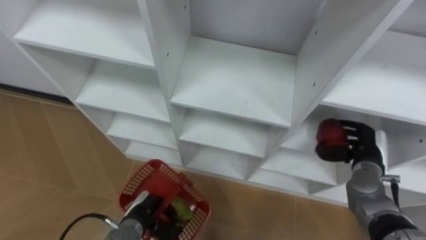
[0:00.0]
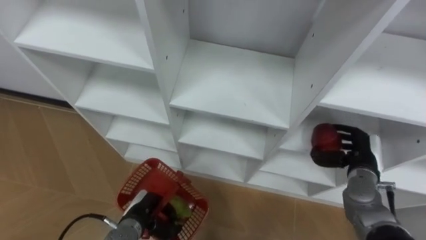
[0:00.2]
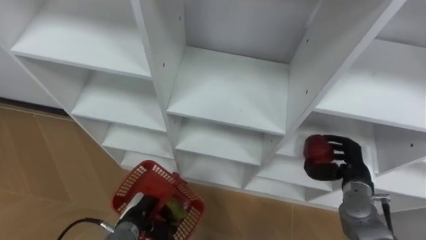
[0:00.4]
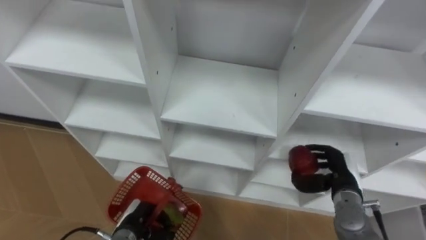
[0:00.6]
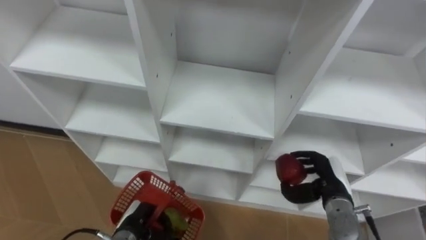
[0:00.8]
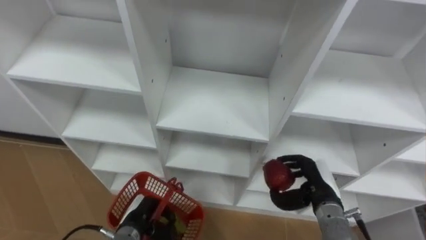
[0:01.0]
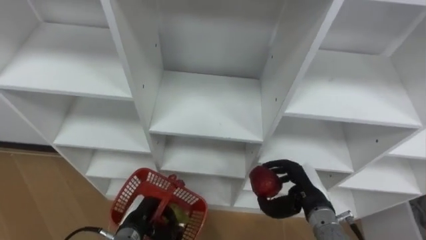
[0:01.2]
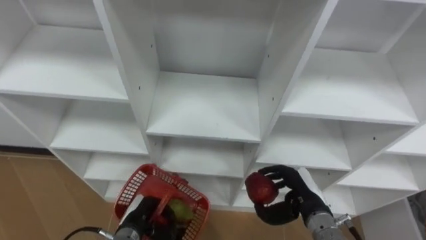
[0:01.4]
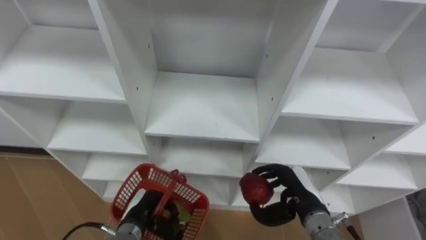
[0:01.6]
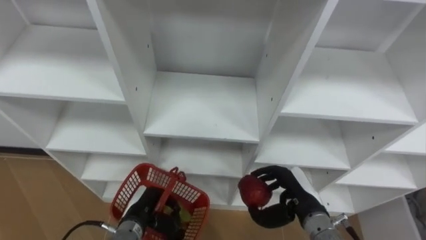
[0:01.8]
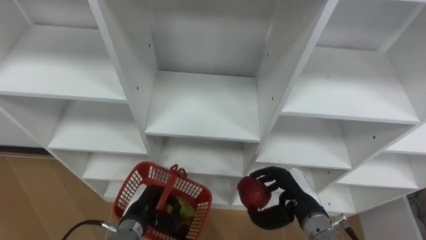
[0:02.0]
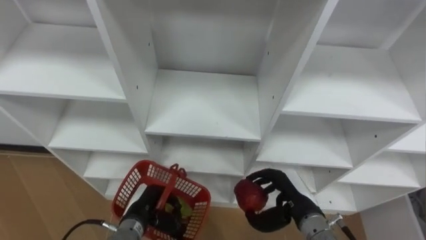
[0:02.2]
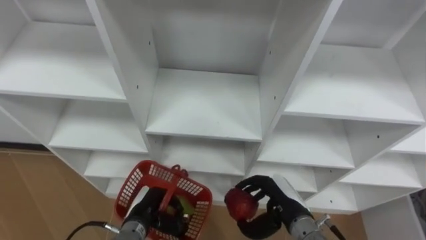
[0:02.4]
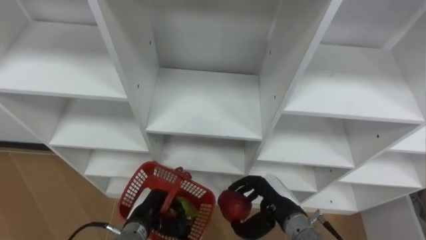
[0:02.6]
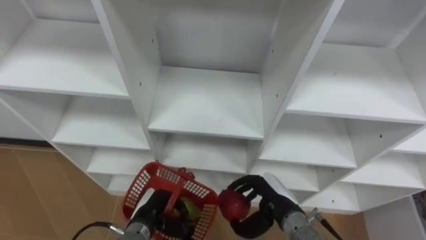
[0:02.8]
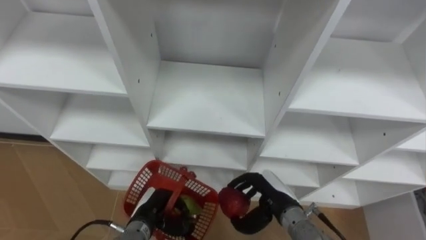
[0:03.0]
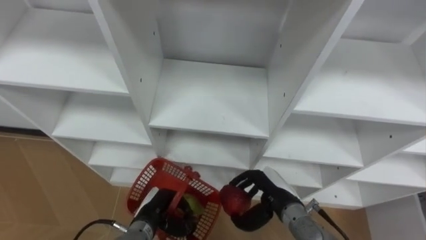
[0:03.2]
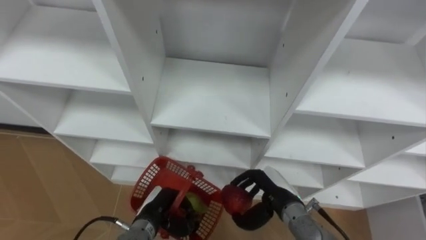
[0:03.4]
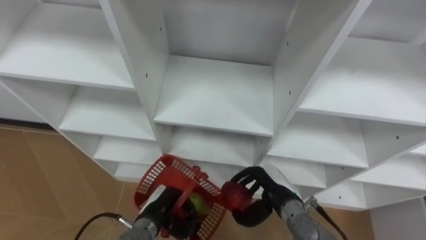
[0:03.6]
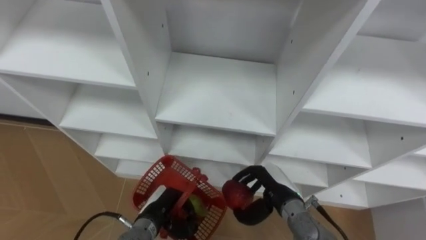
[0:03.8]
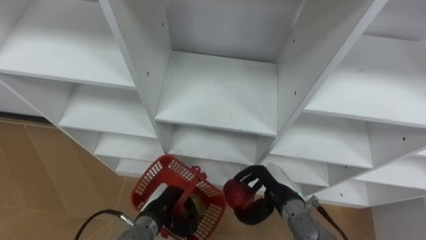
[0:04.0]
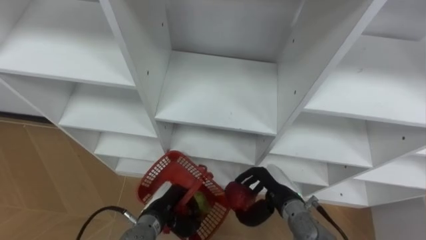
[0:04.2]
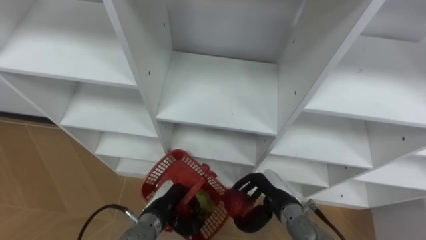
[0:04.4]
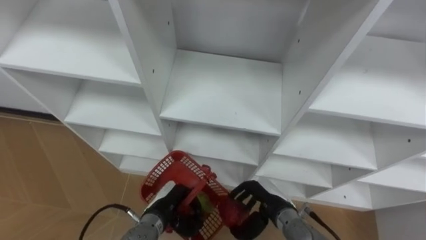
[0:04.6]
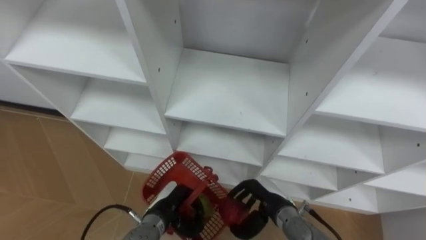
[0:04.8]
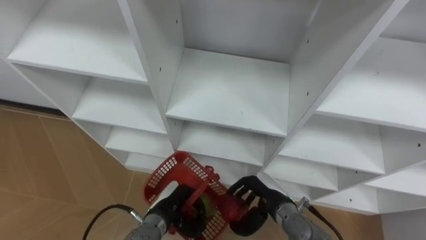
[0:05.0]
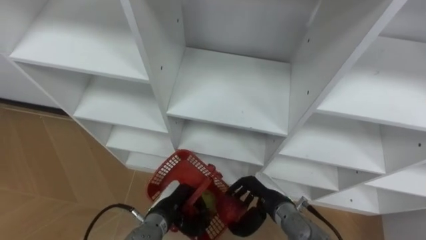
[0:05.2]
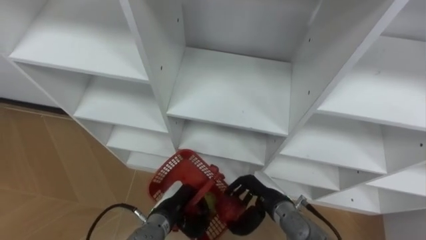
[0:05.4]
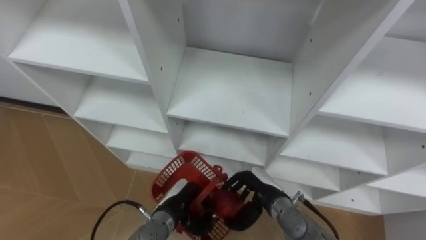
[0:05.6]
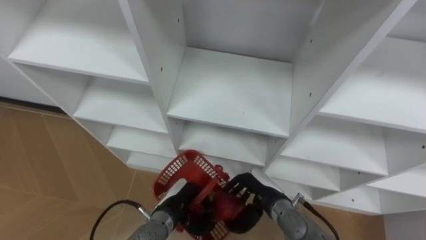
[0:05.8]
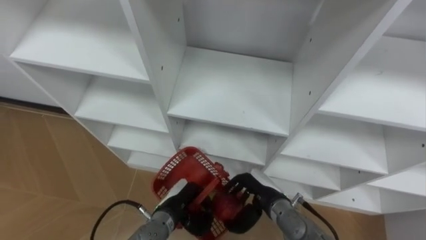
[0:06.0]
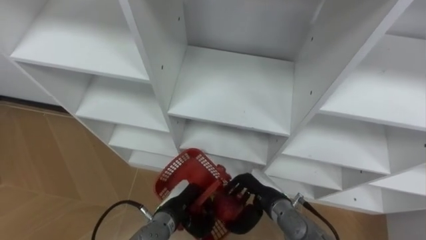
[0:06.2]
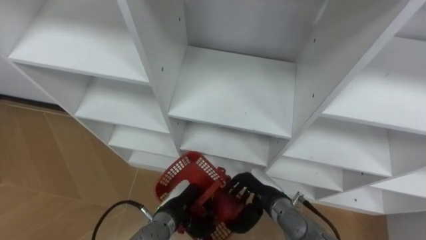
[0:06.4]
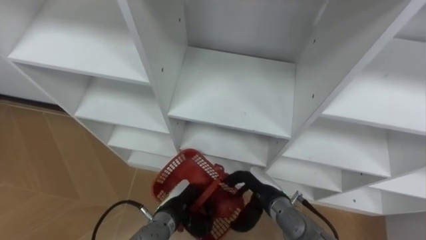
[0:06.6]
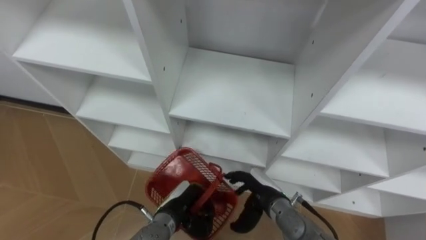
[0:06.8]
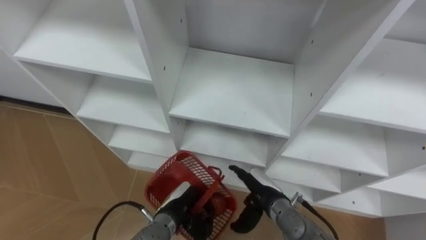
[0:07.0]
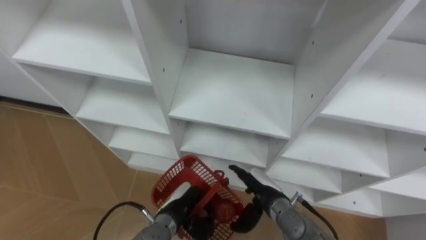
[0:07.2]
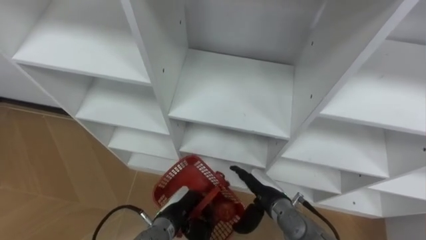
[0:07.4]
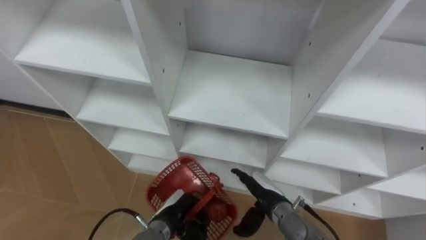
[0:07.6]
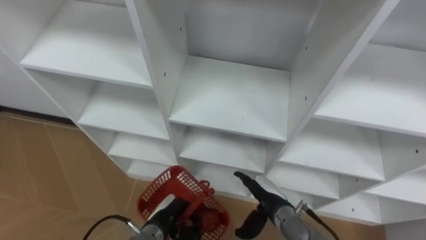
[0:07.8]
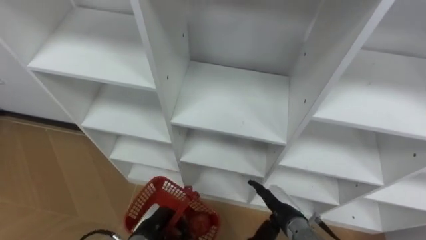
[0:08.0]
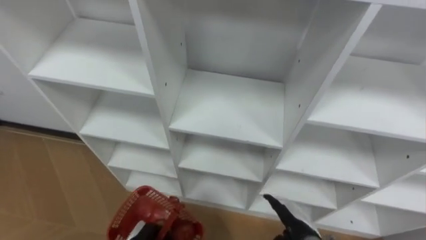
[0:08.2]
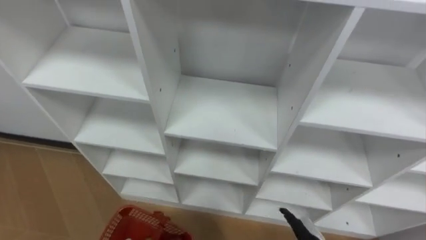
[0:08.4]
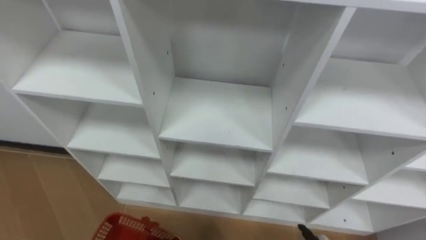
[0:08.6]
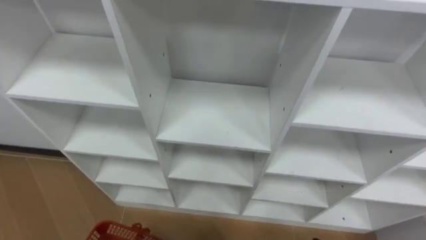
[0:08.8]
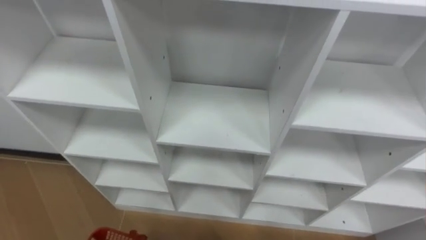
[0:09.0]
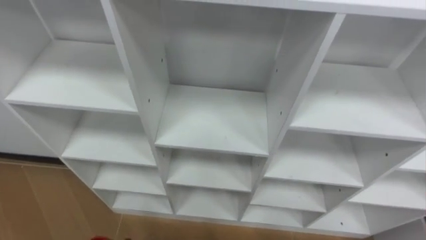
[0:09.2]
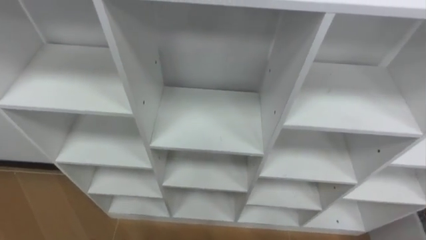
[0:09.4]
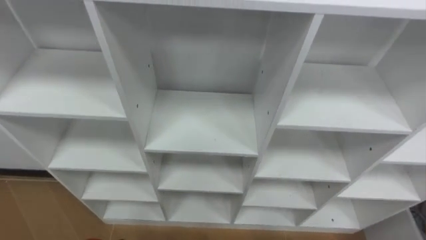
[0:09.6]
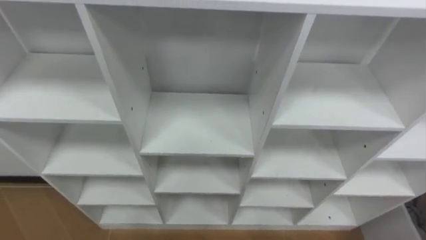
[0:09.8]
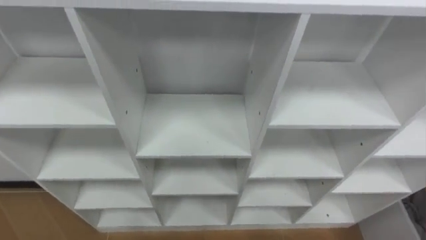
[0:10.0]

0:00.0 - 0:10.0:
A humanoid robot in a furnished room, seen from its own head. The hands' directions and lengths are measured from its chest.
Task of the whole recording: Hold the basket and collect the fruits from 3 different cells of the closet into it.
0:00.0 - 0:01.4: The right hand is displaced to the left and backward by some 15 cm.
0:01.4 - 0:02.8: The right hand shifts roughly 5 cm to the left.
0:05.8 - 0:07.2: The right hand opens.

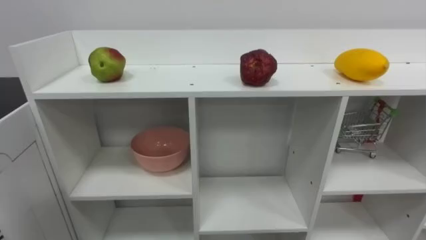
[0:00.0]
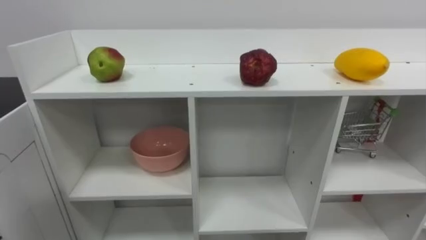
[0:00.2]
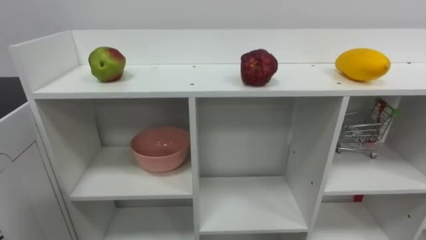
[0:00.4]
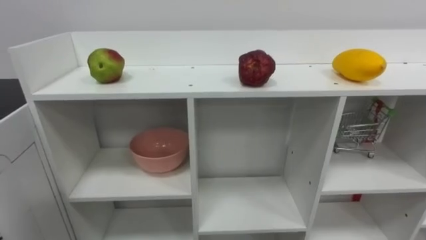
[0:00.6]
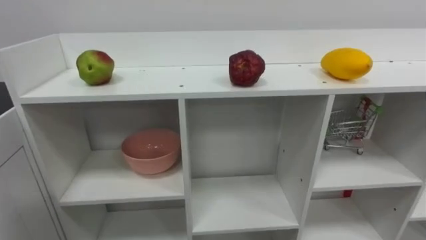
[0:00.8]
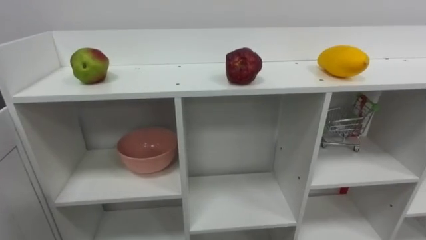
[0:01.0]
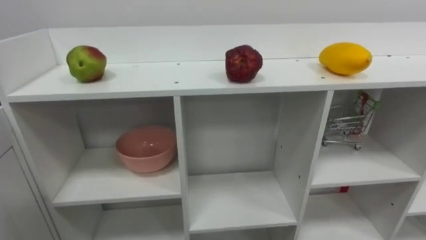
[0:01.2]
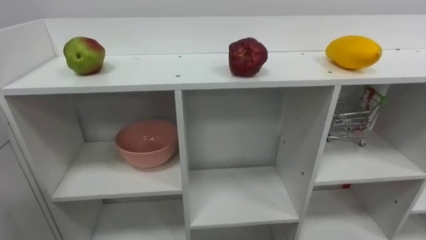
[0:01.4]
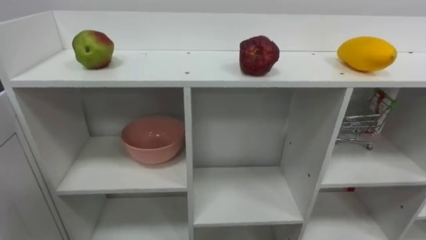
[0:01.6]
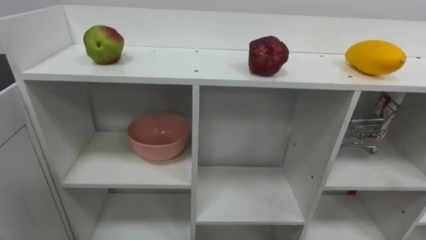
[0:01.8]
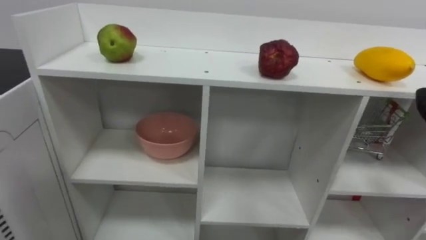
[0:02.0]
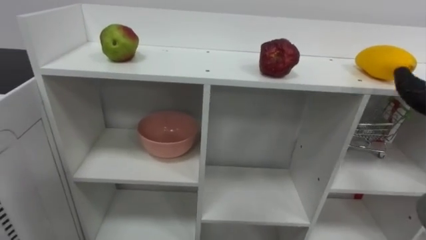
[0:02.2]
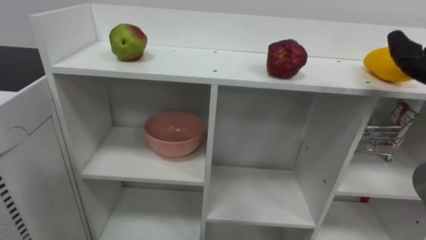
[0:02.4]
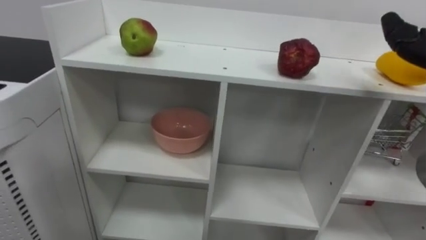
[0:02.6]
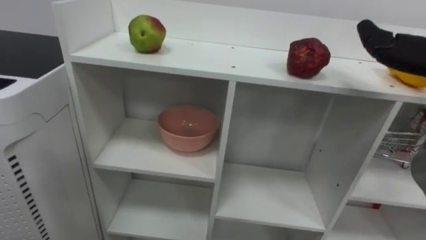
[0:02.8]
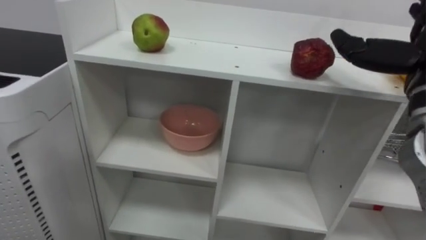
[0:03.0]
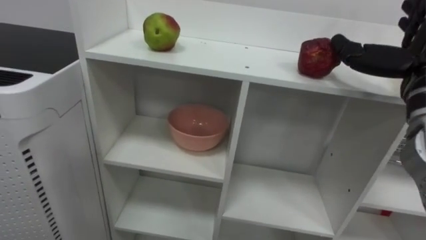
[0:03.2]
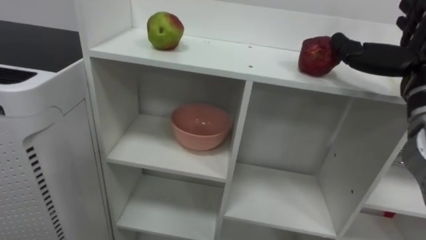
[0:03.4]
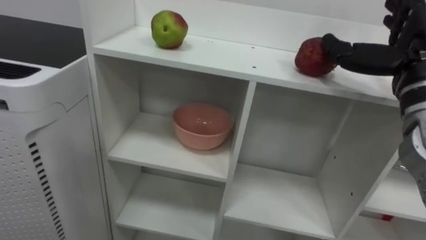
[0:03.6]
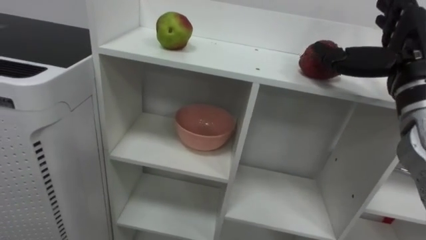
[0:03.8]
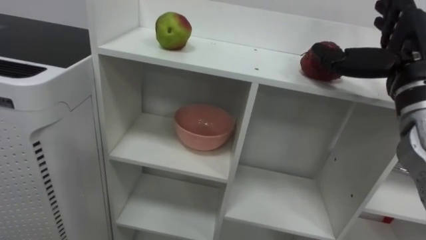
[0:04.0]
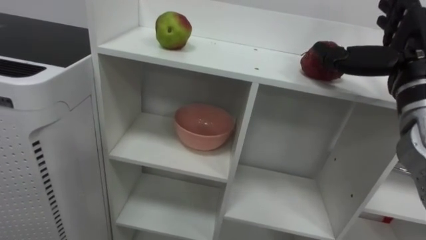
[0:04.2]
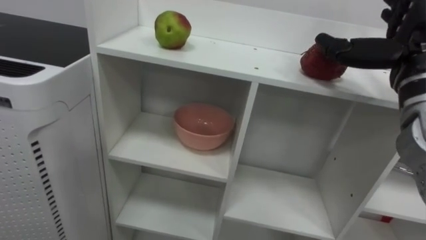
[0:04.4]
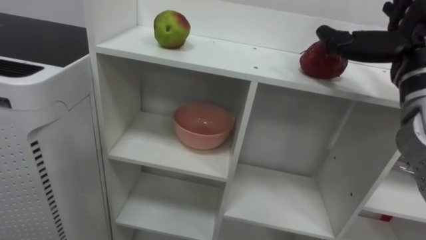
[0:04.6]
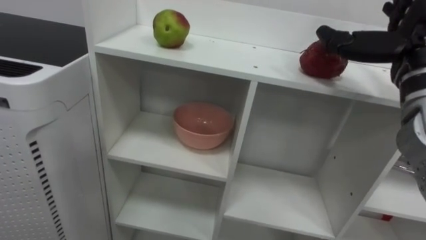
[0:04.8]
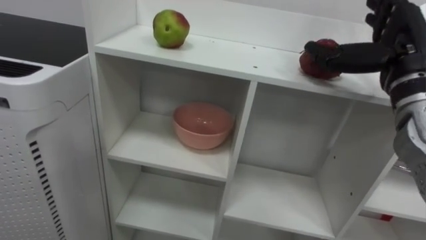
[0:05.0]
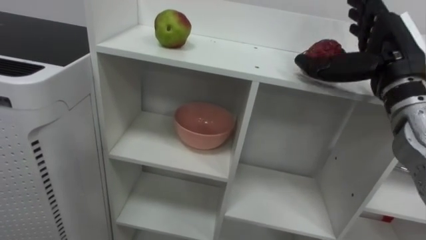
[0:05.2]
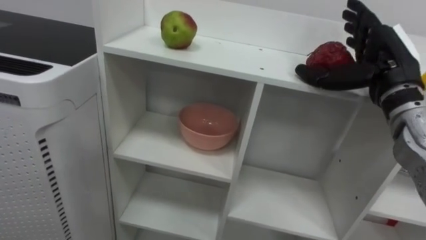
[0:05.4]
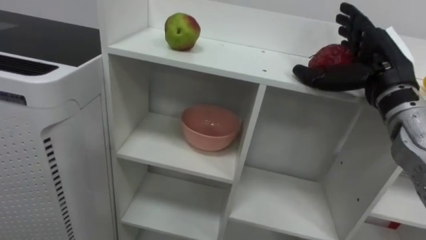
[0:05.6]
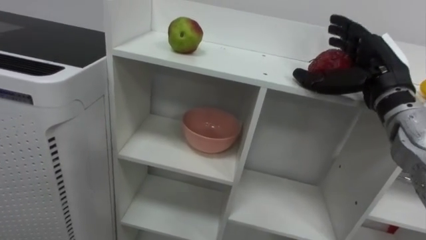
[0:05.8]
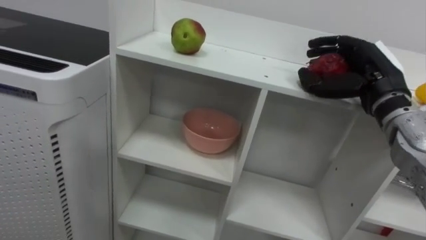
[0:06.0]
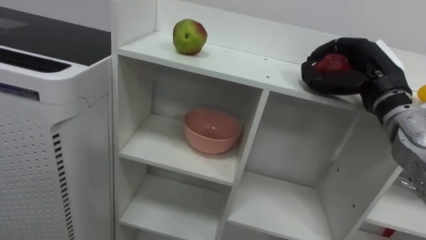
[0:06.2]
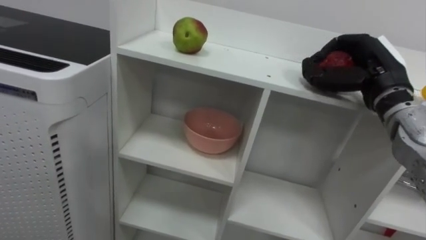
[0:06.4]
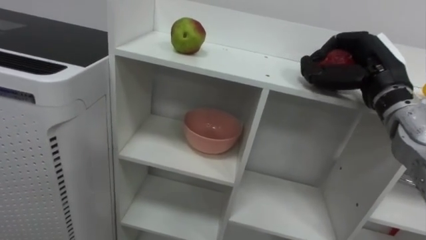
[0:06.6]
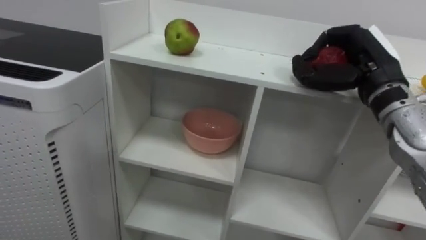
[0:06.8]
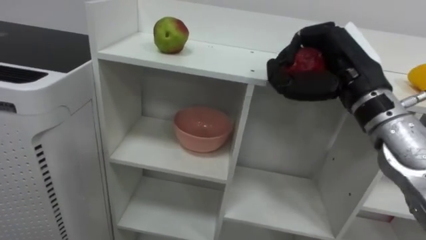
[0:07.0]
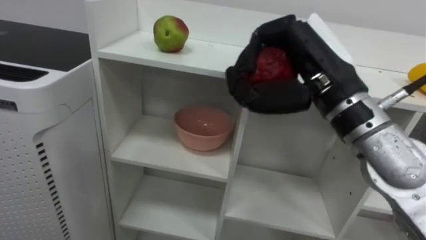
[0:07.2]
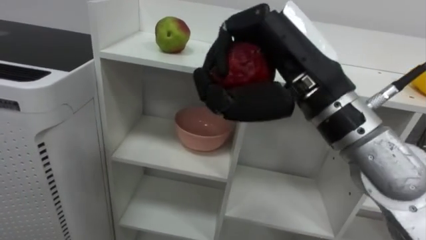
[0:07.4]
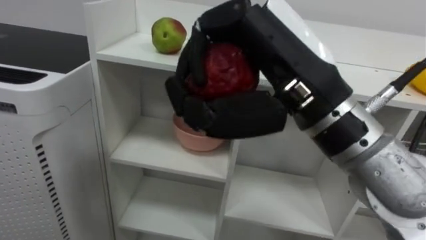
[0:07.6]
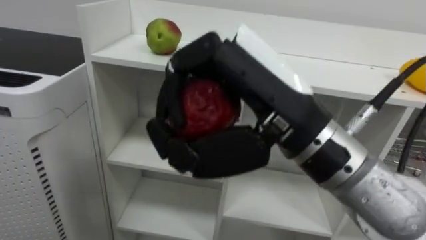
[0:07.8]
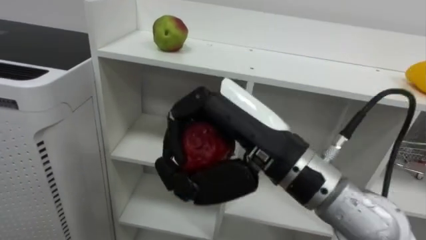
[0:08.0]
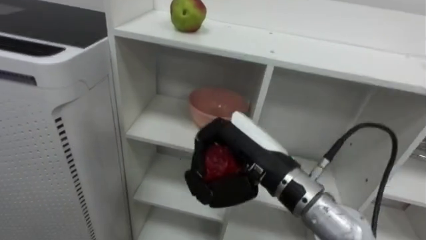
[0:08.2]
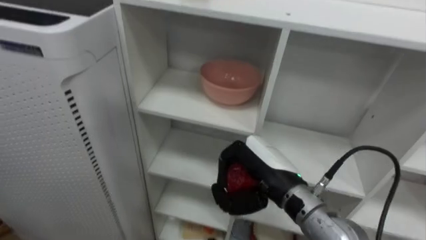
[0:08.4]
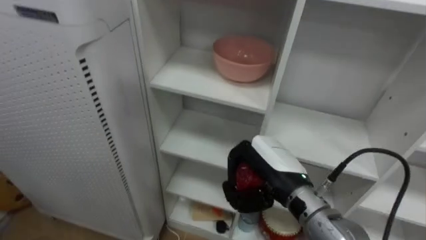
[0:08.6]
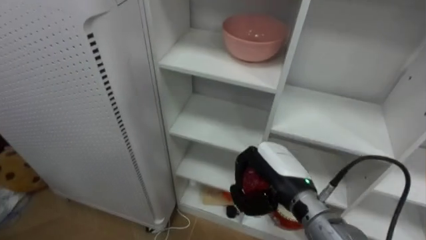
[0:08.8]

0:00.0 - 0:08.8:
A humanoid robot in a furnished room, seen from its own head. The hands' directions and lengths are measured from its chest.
Task of the whole recording: Put the apple in the cell in the second column from the left and the second row from the top.
0:04.4 - 0:05.8: The right hand ends up some 5 cm from where it was.
0:05.8 - 0:07.4: The right hand moves to the left and backward, some 20 cm, and closes its fingers.
0:07.4 - 0:08.8: The right hand shifts some 20 cm downward.
